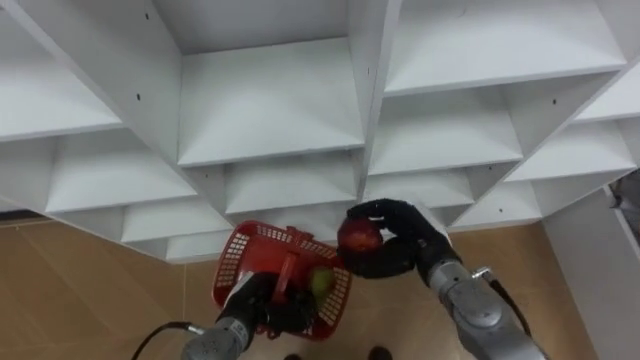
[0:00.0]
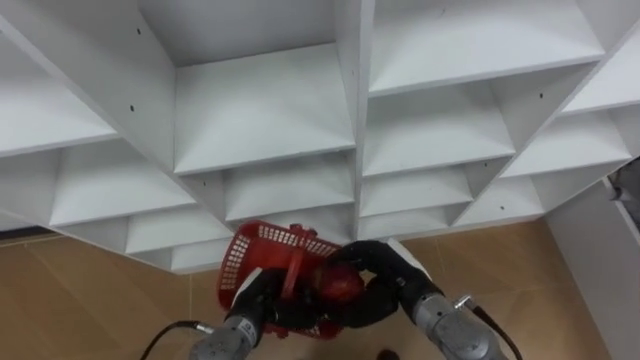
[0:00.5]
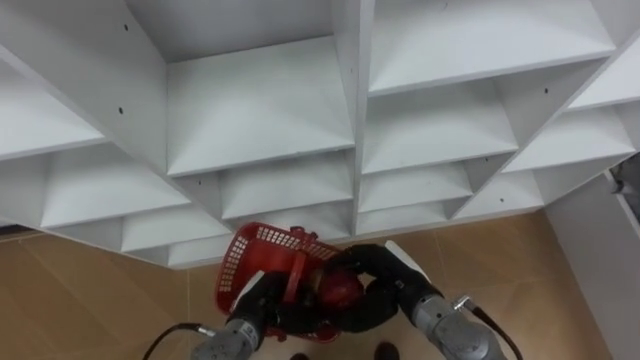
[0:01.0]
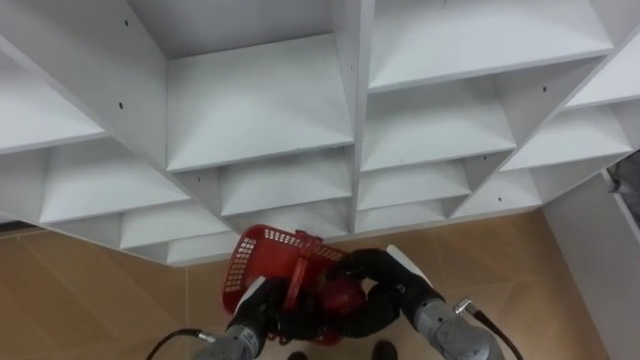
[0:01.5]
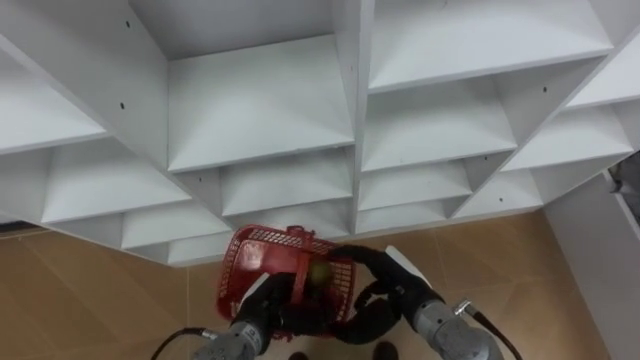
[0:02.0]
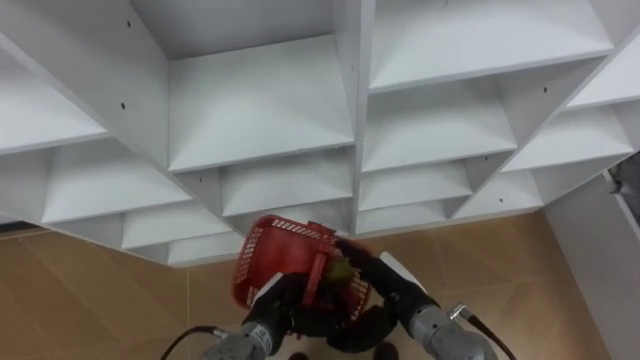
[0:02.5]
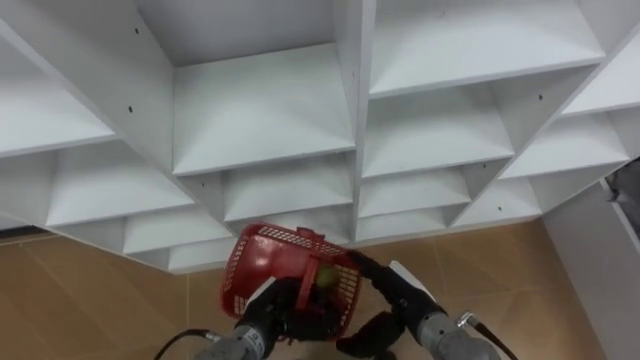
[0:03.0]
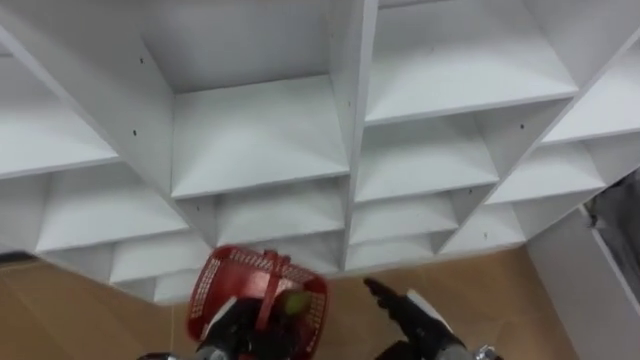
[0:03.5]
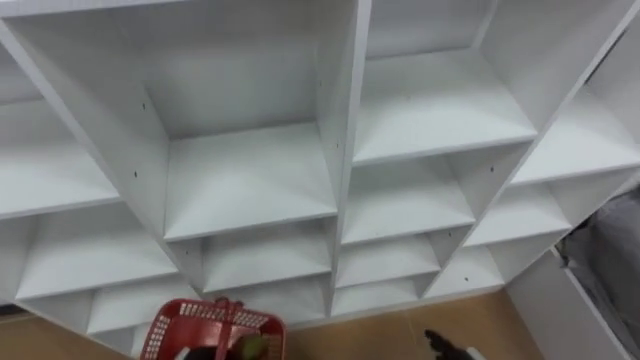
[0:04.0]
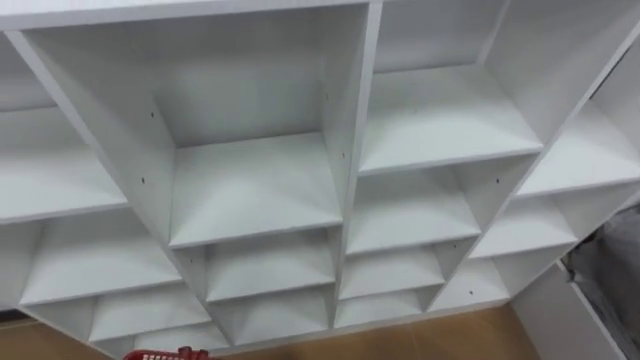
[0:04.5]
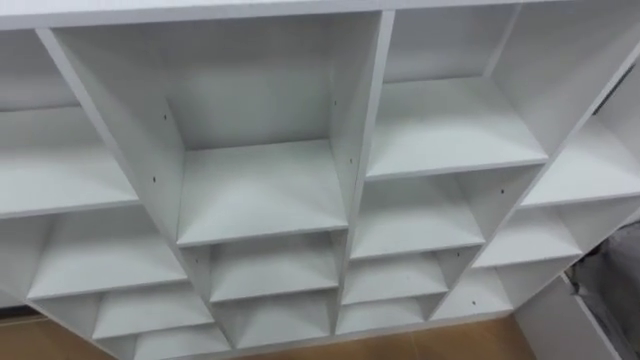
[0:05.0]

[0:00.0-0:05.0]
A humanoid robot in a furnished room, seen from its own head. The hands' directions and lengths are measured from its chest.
Task of the whole recording: Hold the basket and collect the fruits from 3 different cells of the closet into it.
0:00.0 to 0:02.5: The right hand is displaced backward by about 5 cm, and opens up.

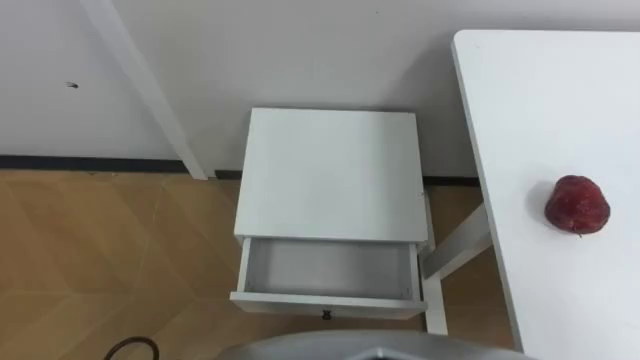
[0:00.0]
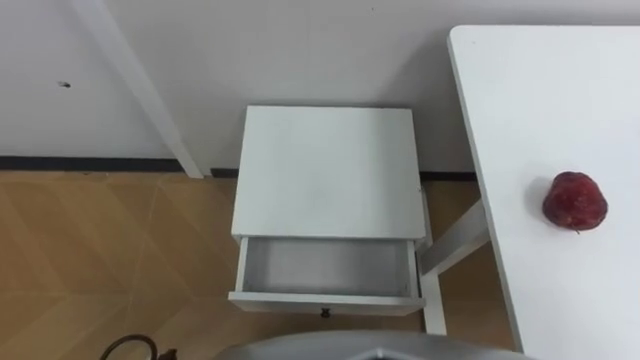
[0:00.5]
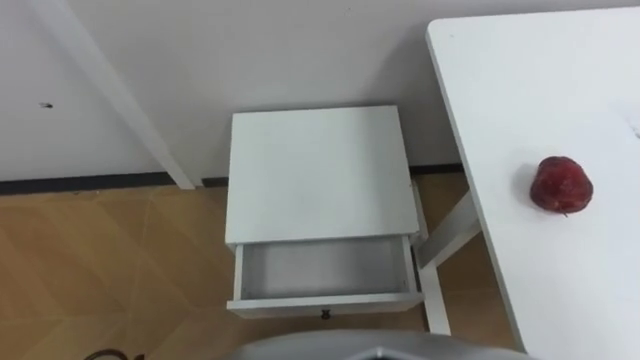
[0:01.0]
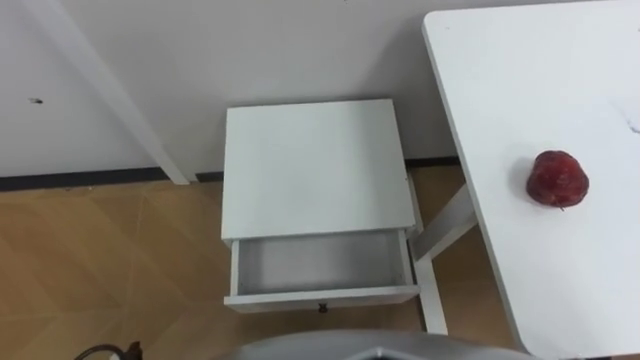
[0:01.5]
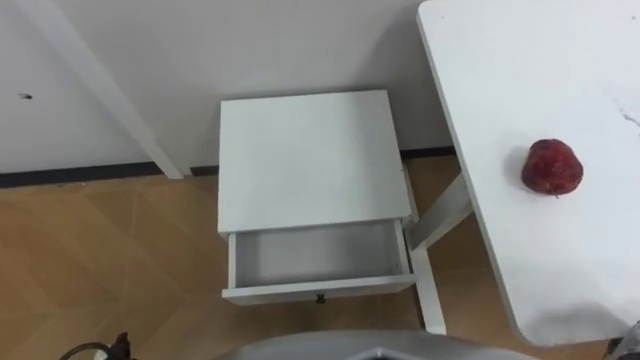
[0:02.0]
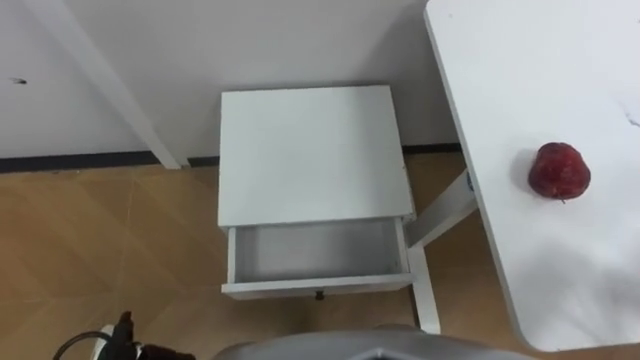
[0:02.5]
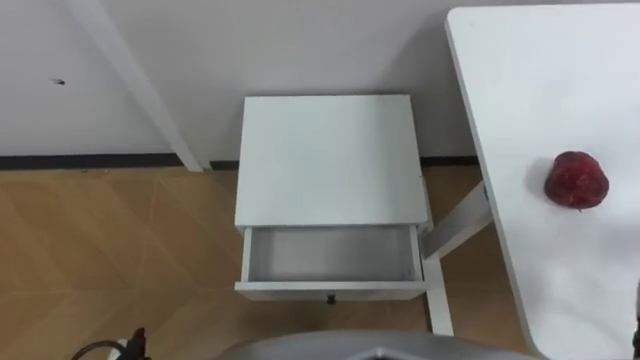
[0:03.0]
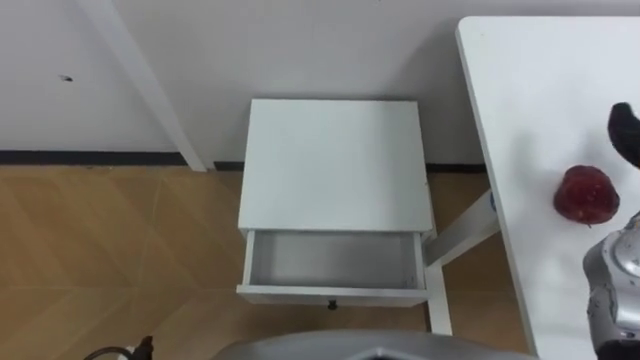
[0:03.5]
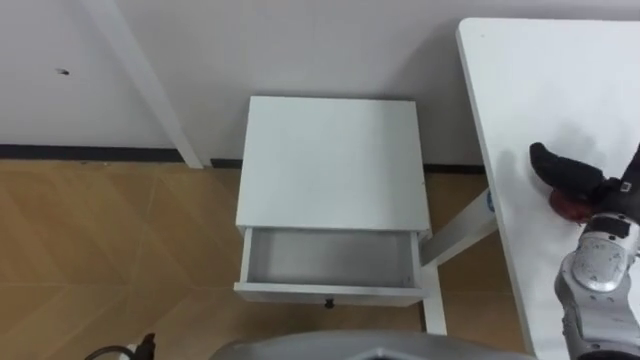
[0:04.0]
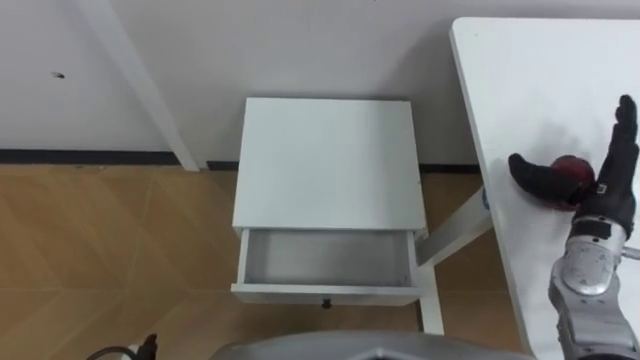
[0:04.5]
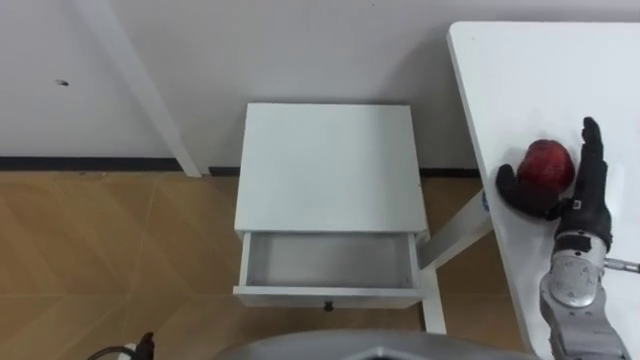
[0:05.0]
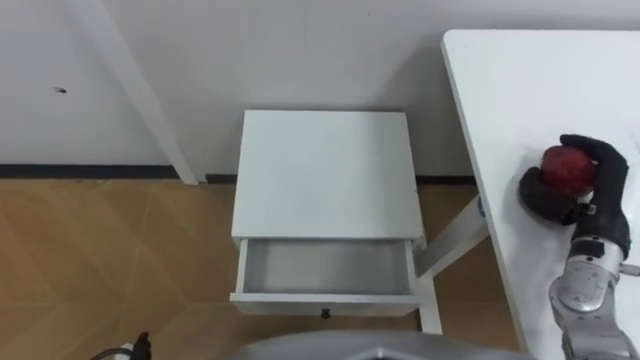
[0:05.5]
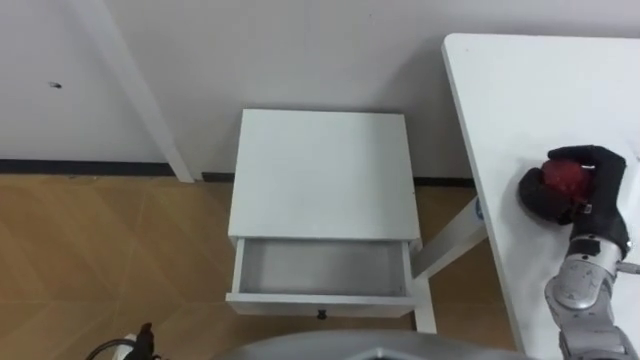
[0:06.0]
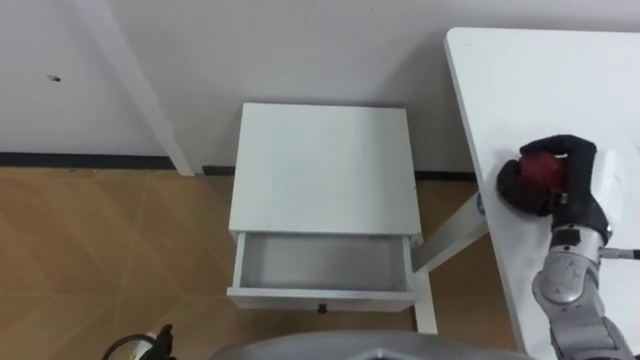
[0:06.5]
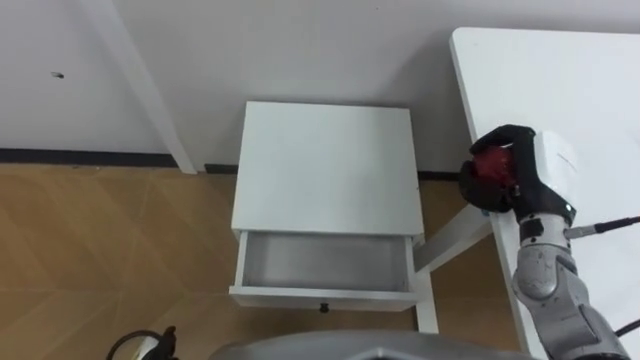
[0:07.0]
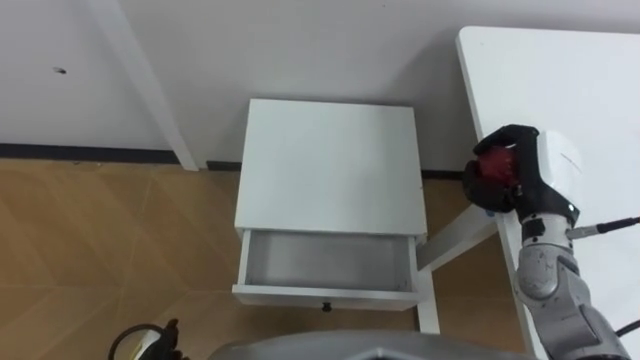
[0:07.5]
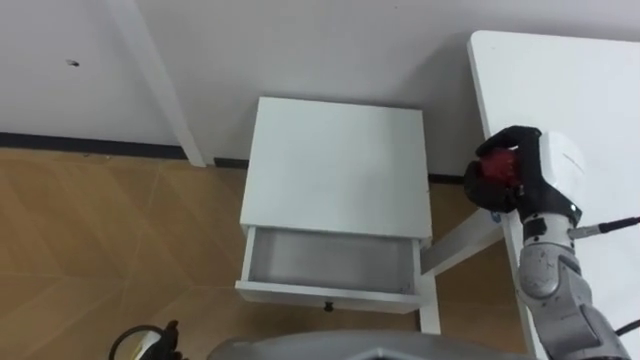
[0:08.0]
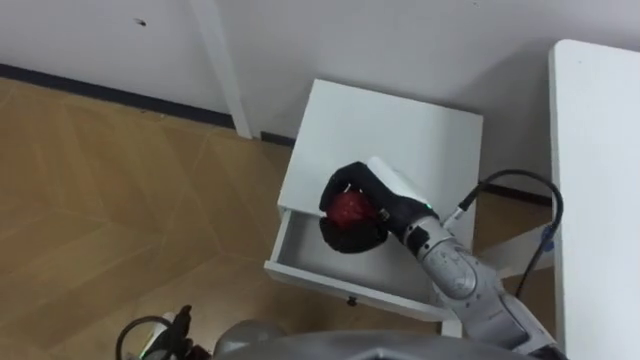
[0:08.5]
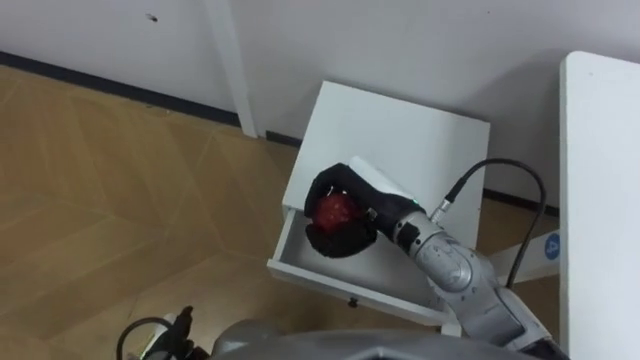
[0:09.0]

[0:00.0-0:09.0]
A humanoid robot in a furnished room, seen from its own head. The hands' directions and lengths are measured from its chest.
Task of the whole recording: Pick up the apple from the table, put it in the drawer, and close the drawer with leg.
0:04.5 to 0:07.0: The right hand moves to the left, about 10 cm, and closes up.
0:07.0 to 0:09.0: The right hand moves to the left, about 20 cm.

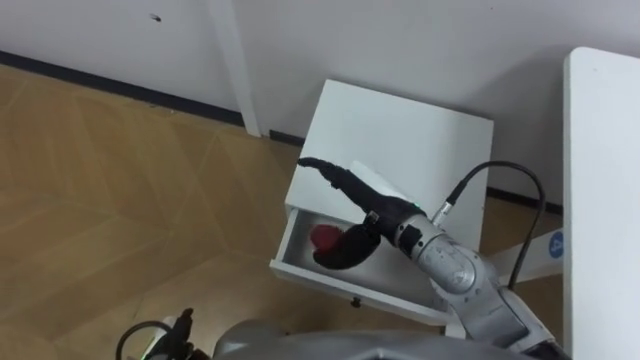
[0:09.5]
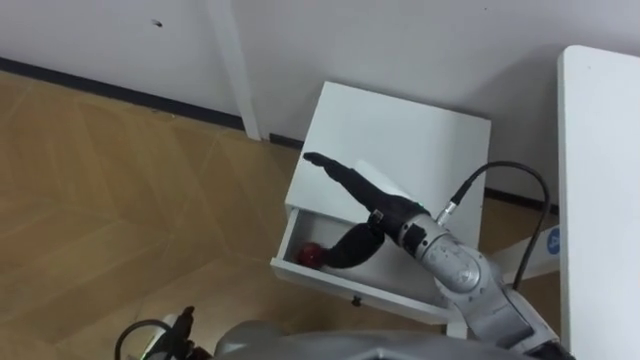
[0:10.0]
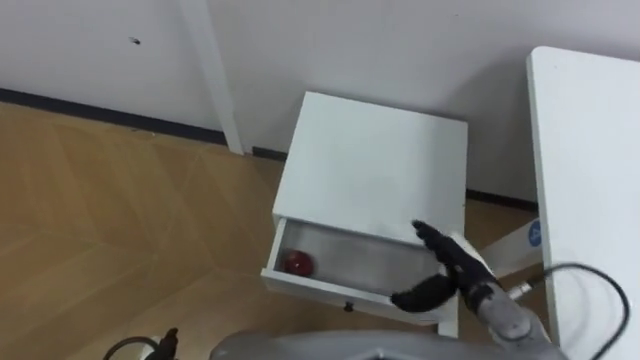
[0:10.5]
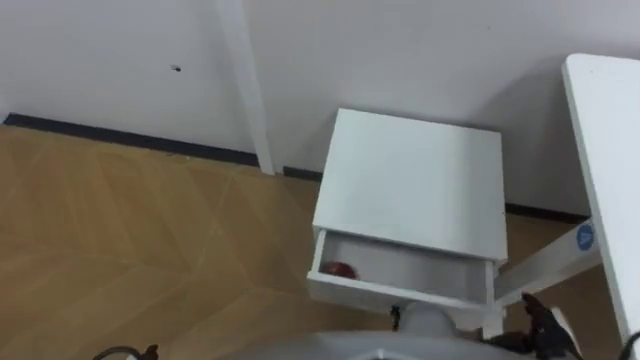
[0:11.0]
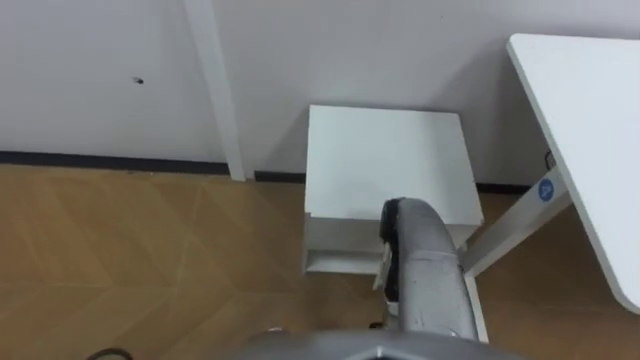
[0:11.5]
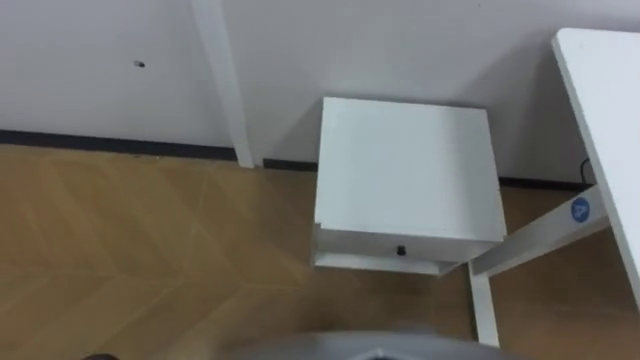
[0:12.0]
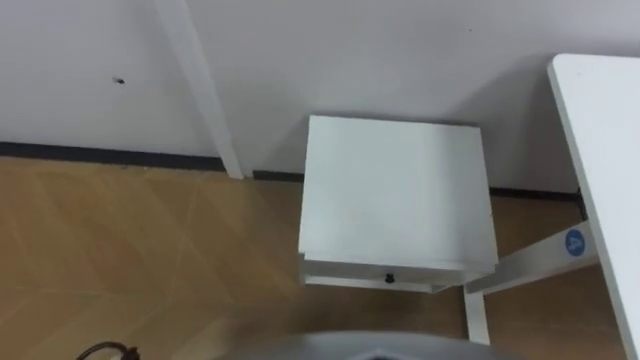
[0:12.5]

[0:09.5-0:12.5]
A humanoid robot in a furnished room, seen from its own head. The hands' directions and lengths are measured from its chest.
Task of the whole recording: Pick up the apple from the table, put it in the drawer, and close the drawer with leg.
0:09.5 to 0:11.0: The right hand shifts roughly 35 cm to the right, backward and downward.

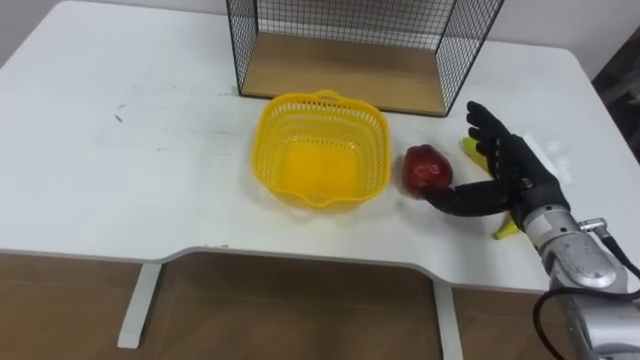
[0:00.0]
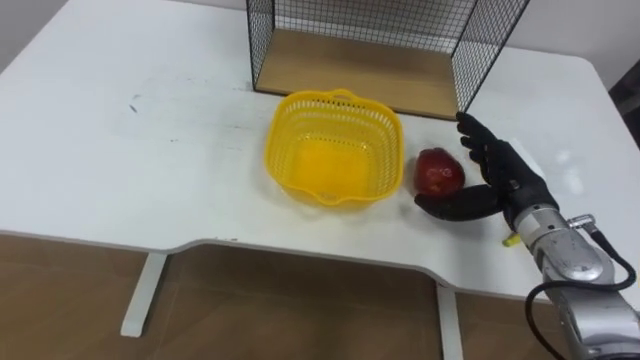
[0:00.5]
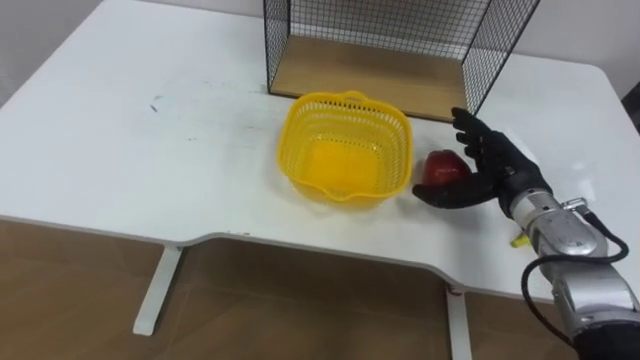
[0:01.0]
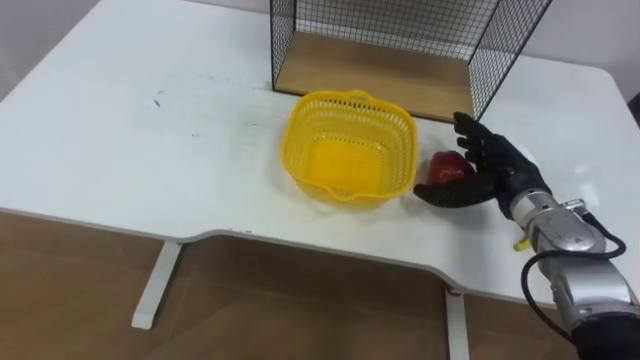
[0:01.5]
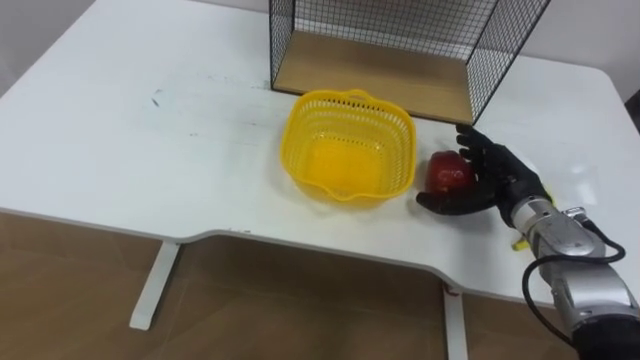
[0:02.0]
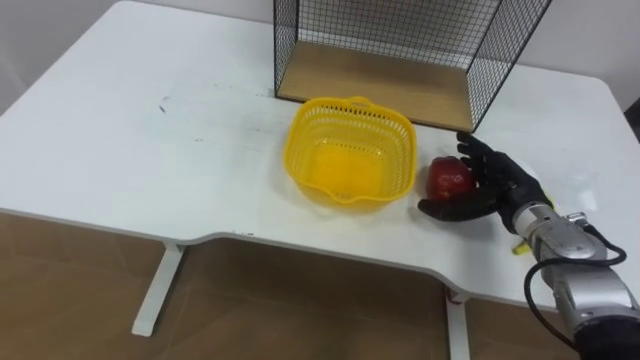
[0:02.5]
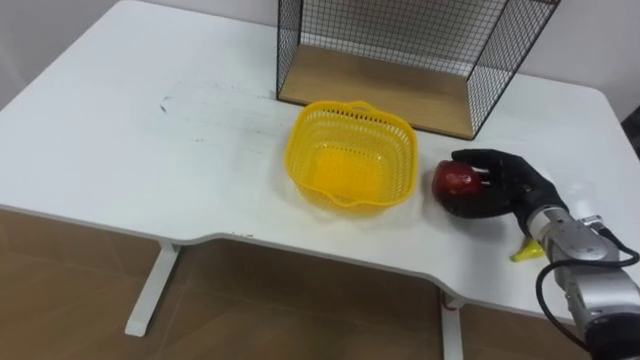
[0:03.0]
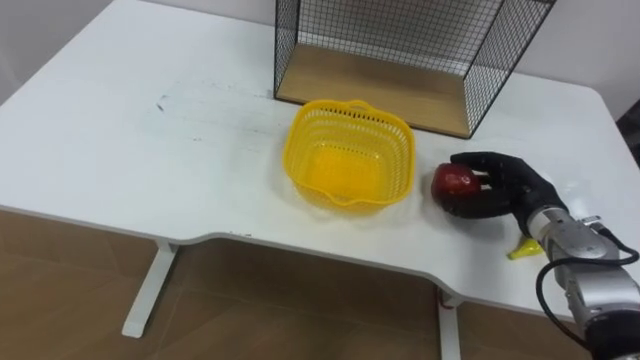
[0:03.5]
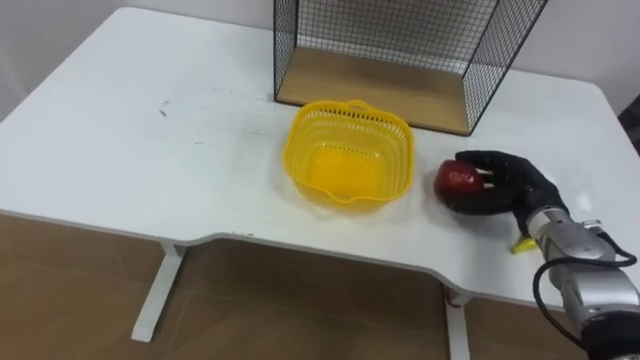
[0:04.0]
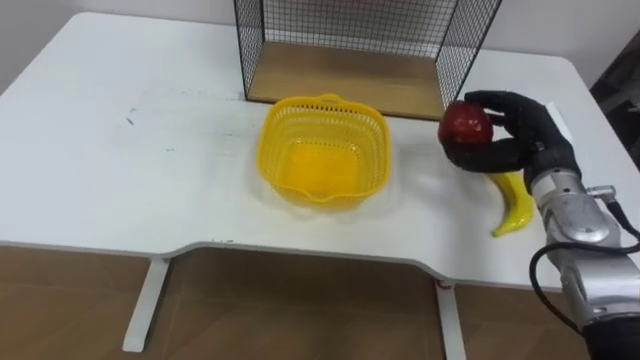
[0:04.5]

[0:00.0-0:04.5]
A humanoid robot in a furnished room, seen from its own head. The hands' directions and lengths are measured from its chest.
Task of the whole recording: Put the fruit on the table into the basket, then place the basket on the shelf.
0:02.0 to 0:04.5: The right hand shifts some 5 cm upward, and closes its fingers.
